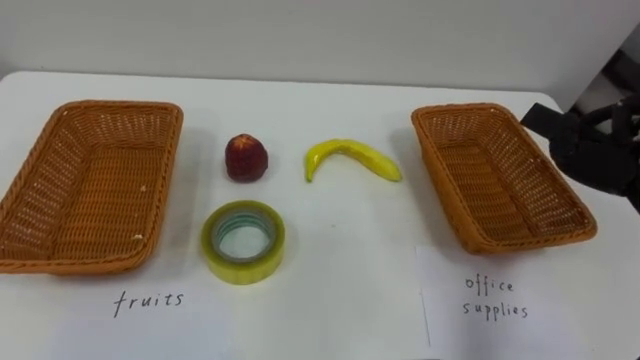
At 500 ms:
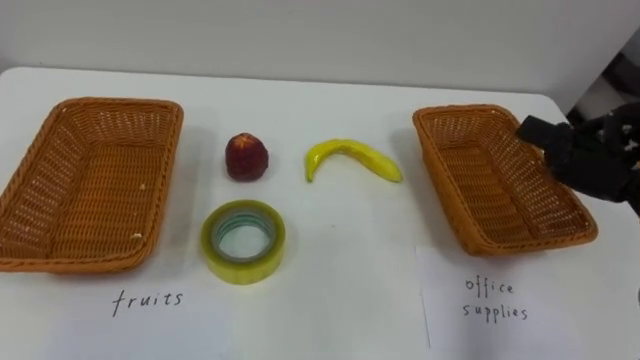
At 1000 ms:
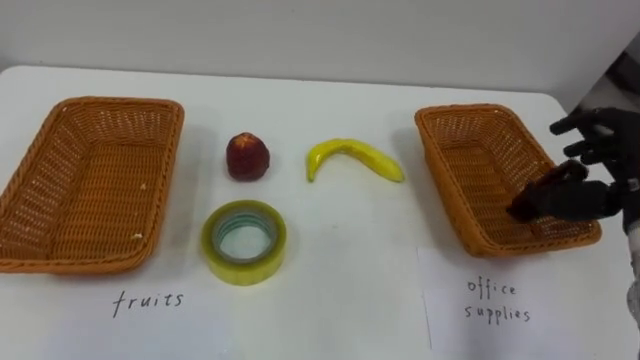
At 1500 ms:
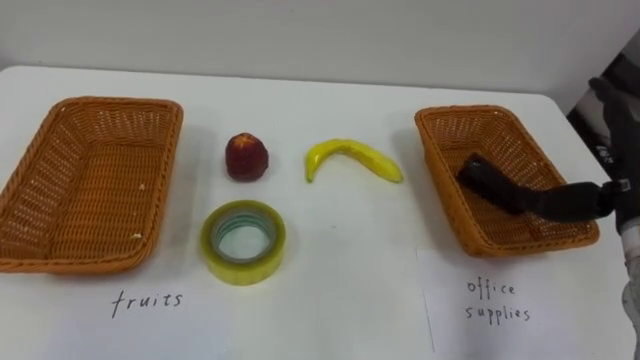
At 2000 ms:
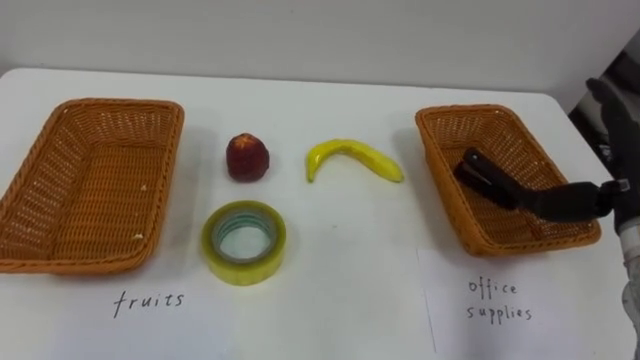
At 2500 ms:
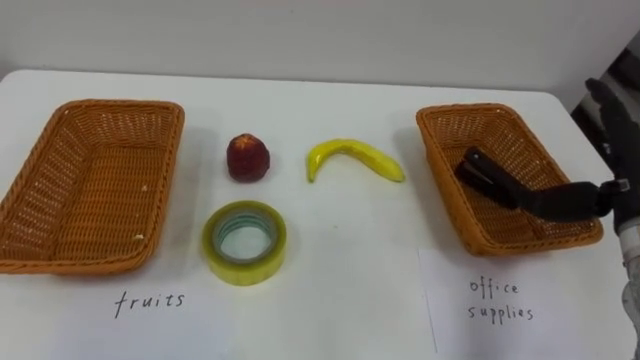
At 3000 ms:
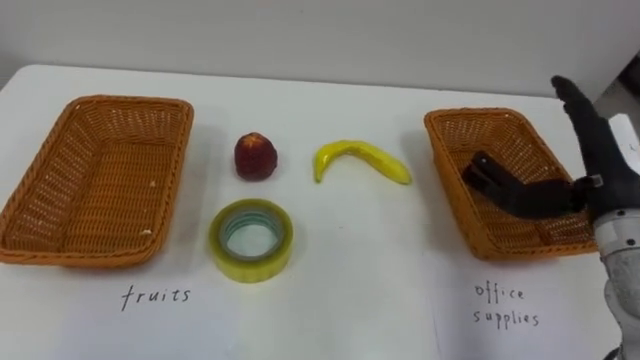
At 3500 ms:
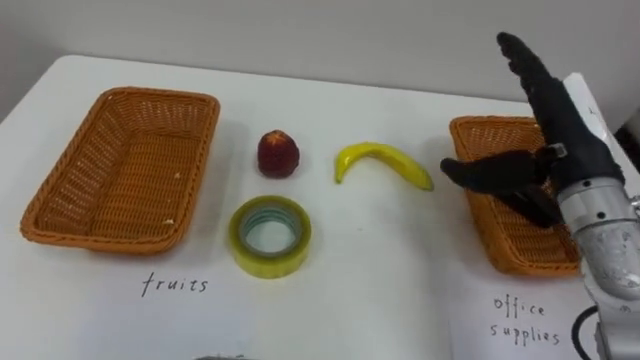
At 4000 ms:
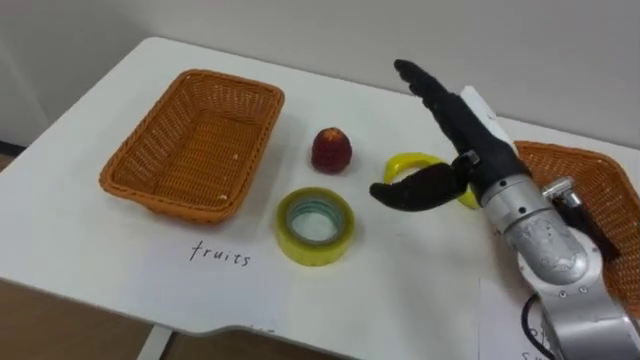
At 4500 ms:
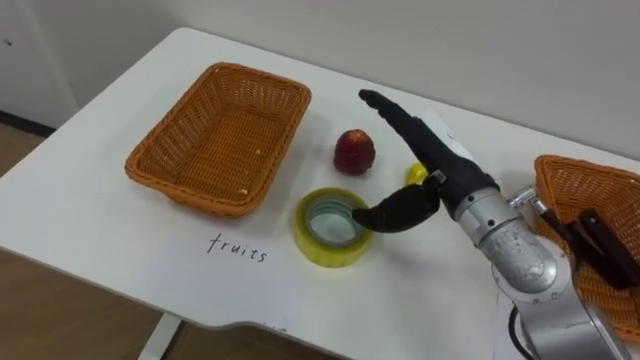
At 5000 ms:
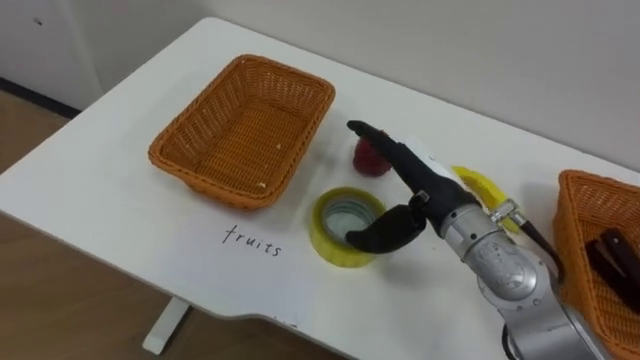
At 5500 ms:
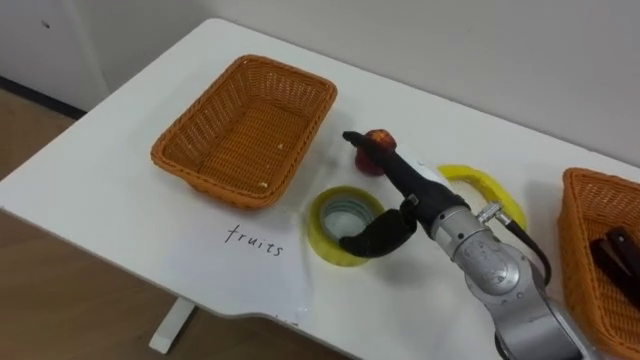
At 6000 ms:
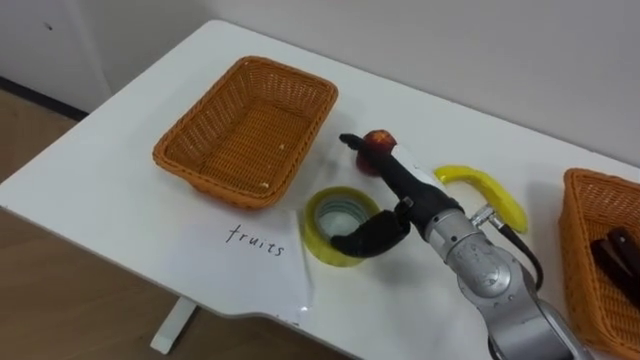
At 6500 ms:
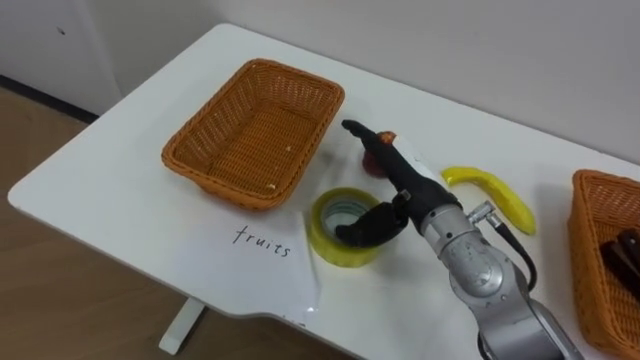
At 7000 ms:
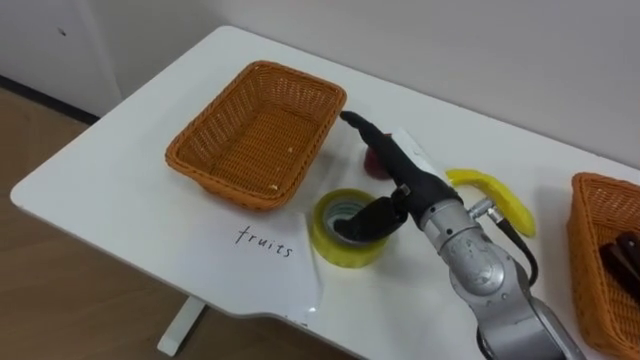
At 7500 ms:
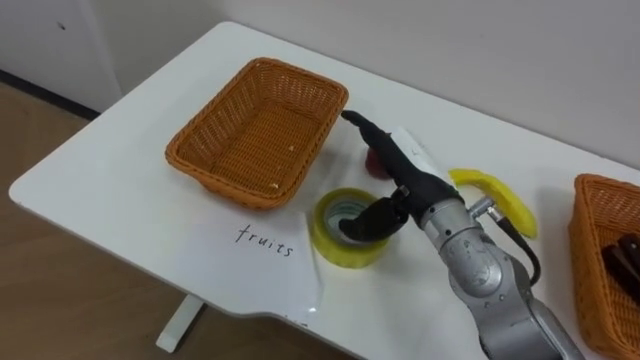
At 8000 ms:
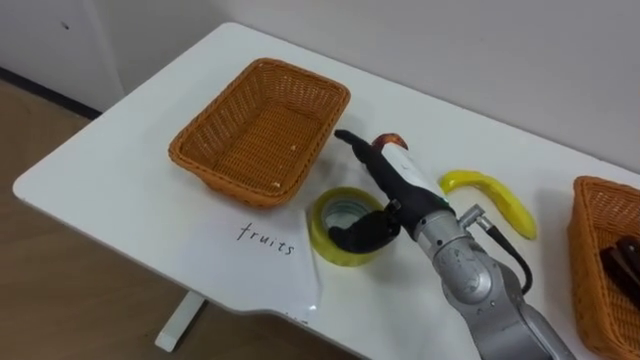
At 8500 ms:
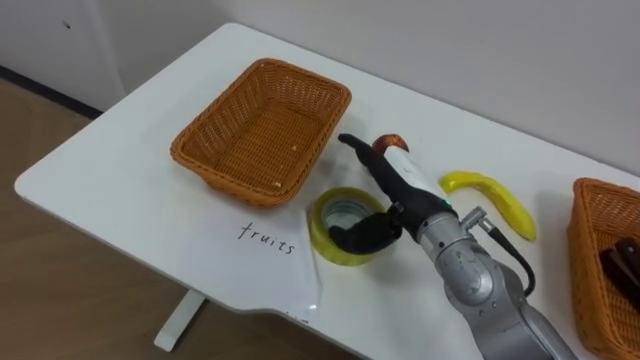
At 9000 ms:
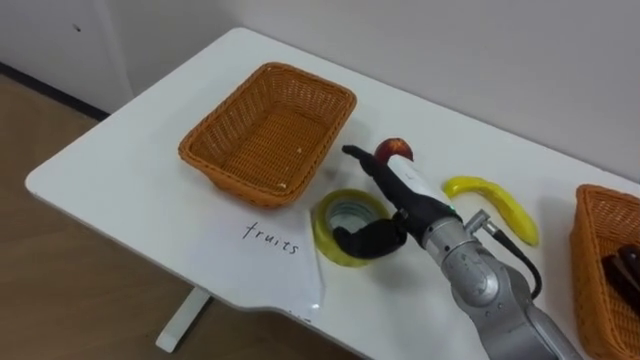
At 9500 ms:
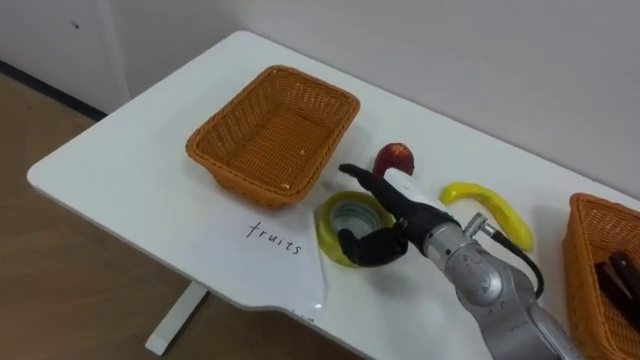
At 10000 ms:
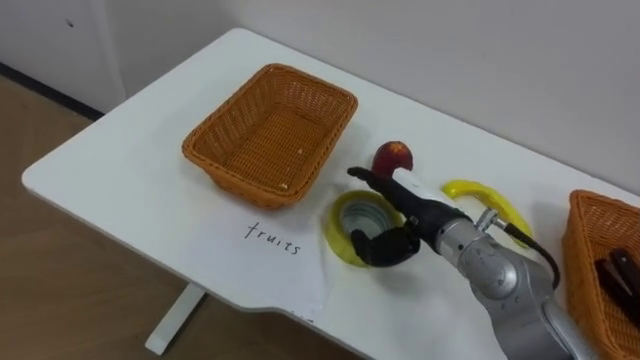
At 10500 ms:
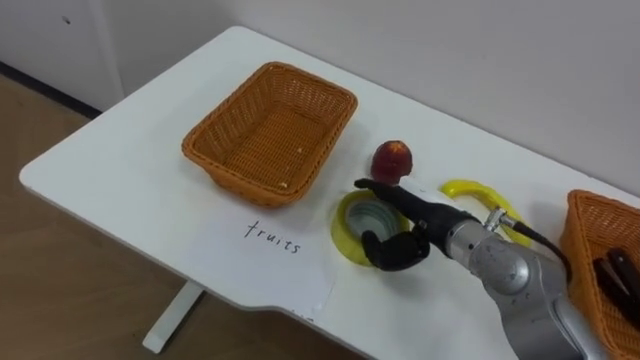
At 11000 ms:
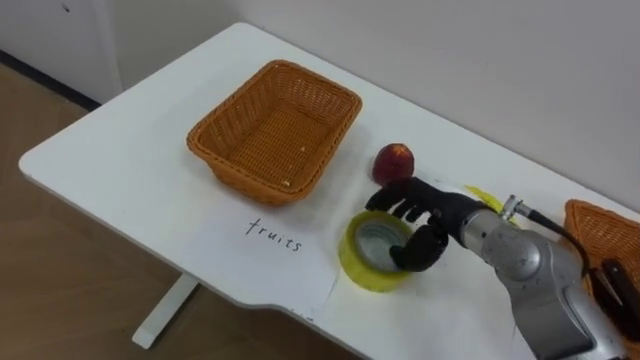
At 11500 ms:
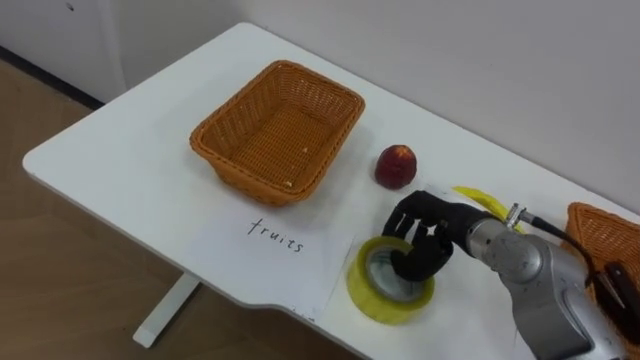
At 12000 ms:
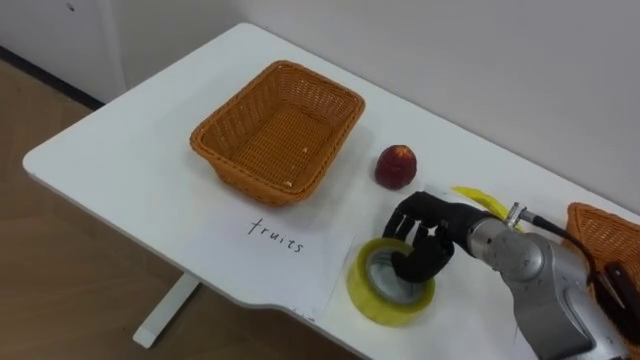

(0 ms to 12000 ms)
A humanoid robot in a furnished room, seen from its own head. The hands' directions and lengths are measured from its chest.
Task of the whole recording: Separate the items on the table and place them into the two baskets.
2000 ms - 4000 ms: The right hand moves to the left, about 15 cm.
4000 ms - 6000 ms: The right hand heads downward and to the left, covering approximately 10 cm.
10000 ms - 12000 ms: The right hand changes place by roughly 5 cm, and closes its fingers.

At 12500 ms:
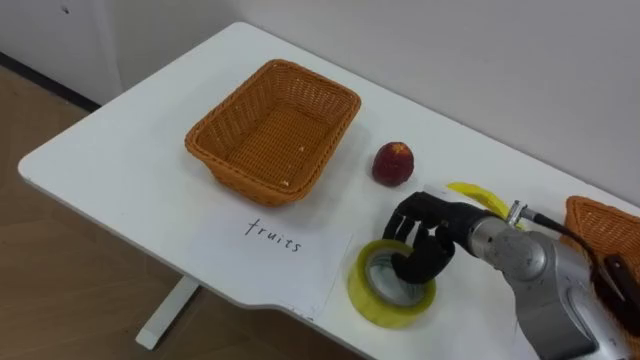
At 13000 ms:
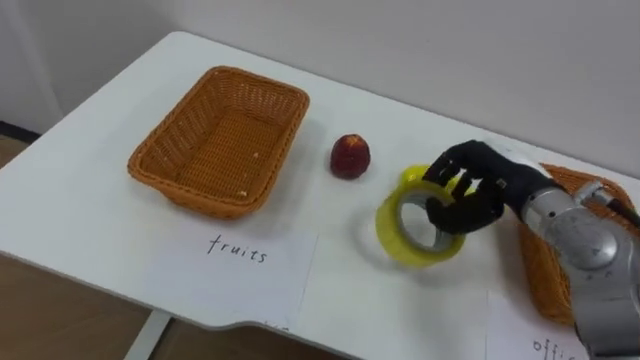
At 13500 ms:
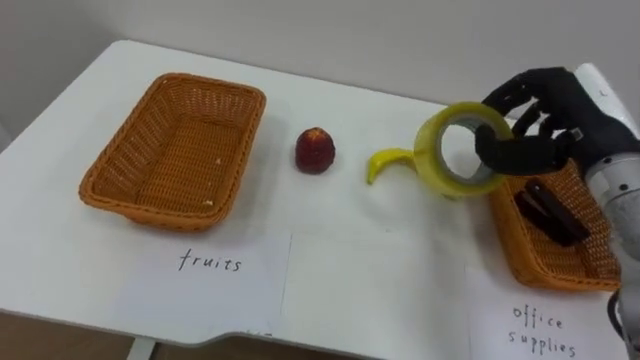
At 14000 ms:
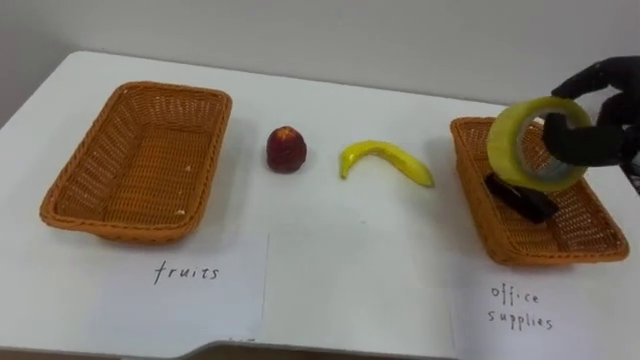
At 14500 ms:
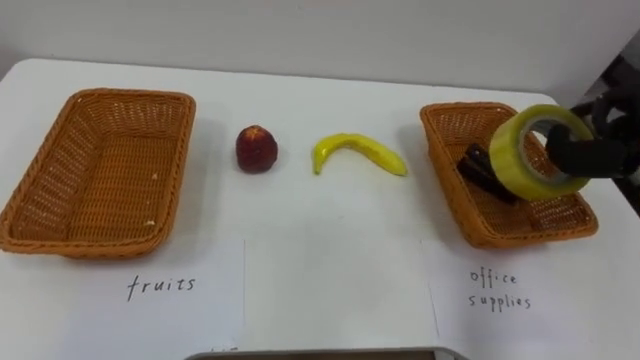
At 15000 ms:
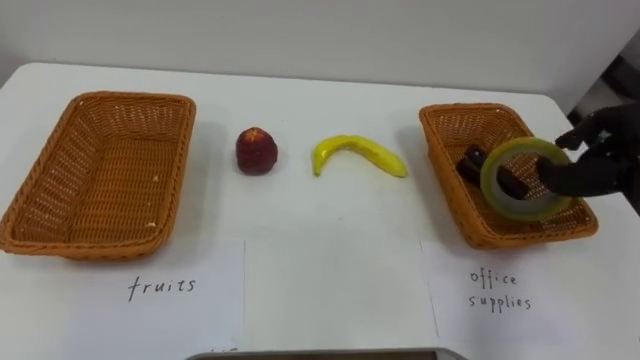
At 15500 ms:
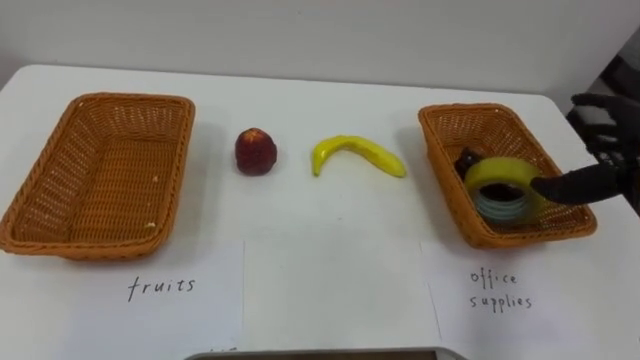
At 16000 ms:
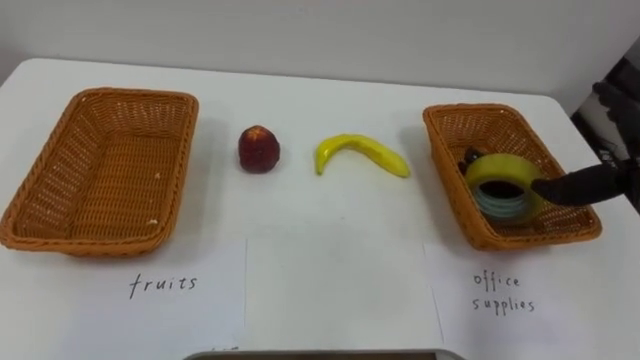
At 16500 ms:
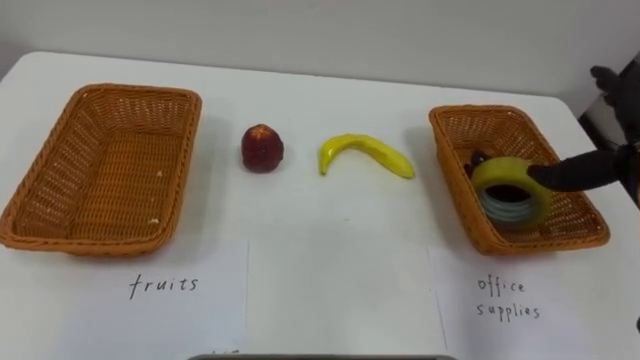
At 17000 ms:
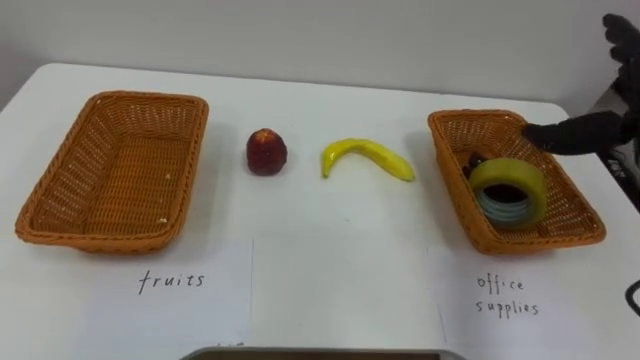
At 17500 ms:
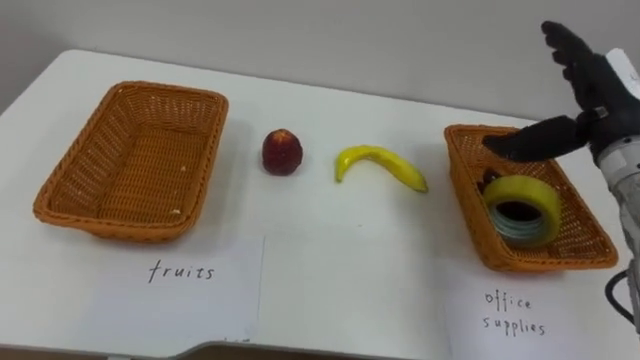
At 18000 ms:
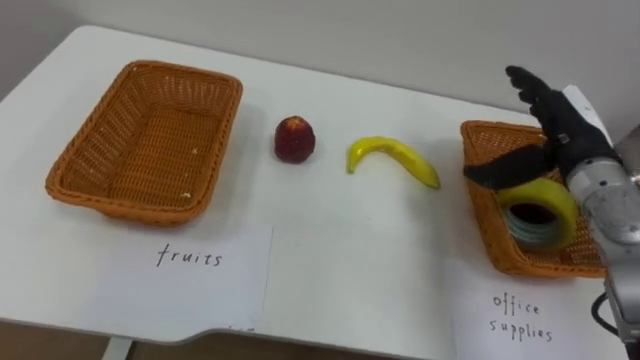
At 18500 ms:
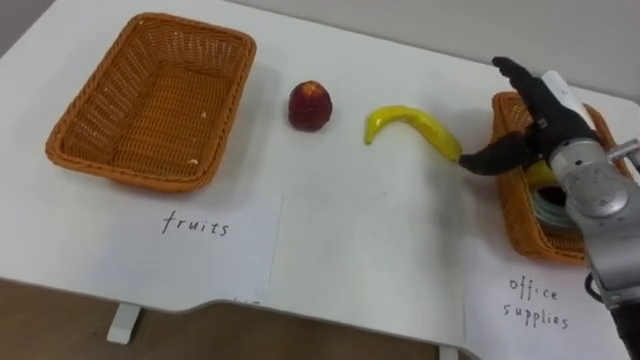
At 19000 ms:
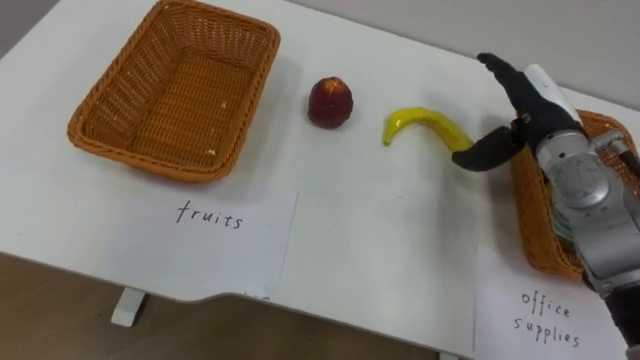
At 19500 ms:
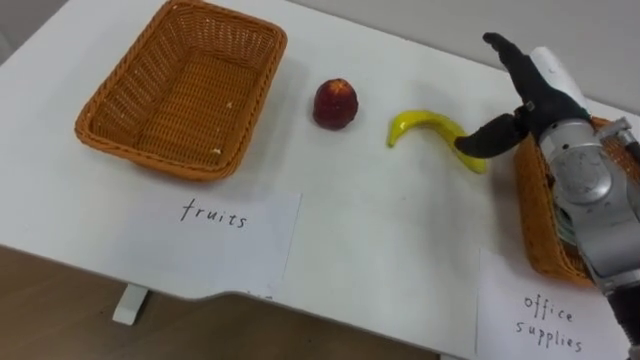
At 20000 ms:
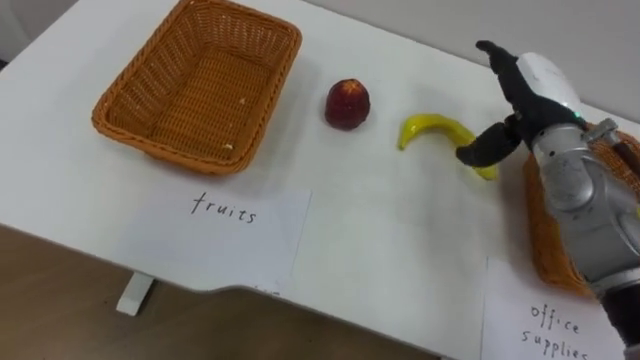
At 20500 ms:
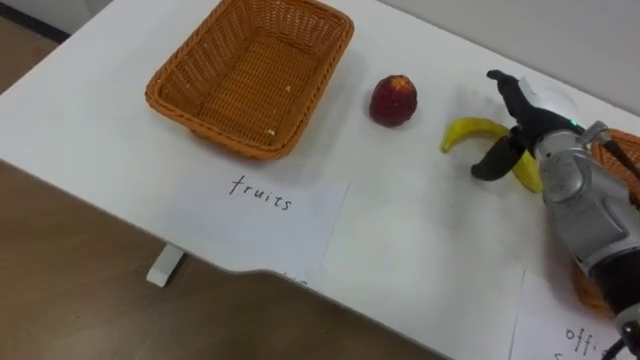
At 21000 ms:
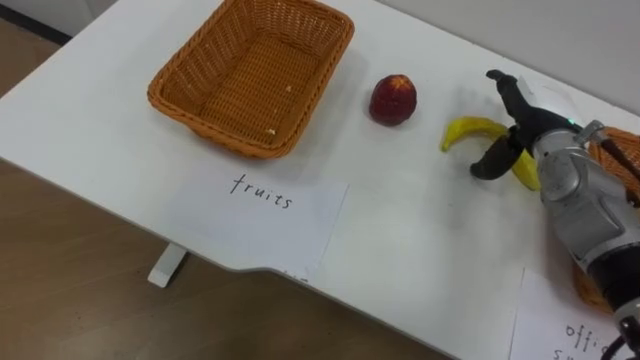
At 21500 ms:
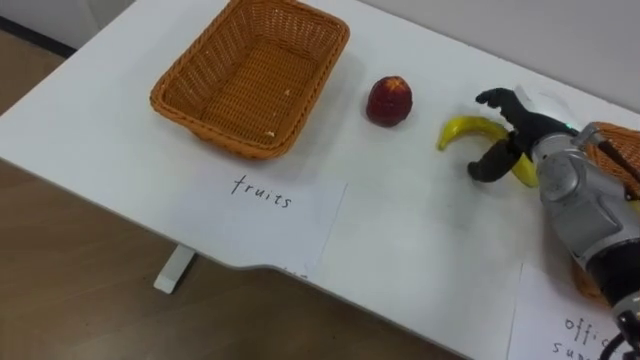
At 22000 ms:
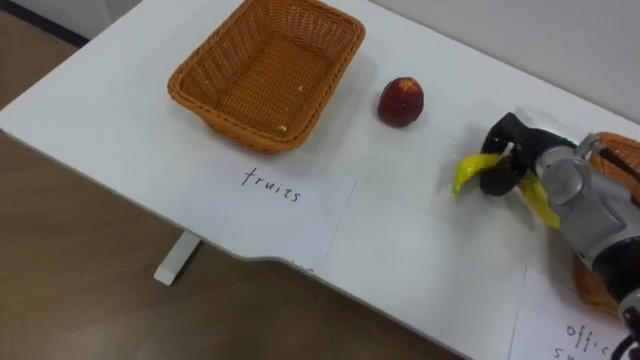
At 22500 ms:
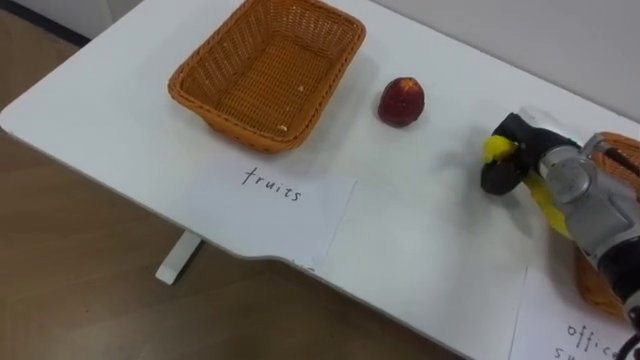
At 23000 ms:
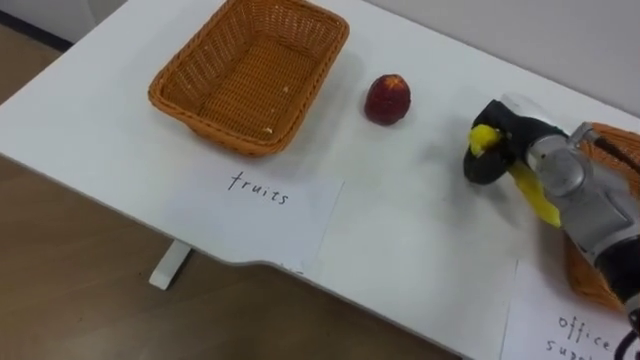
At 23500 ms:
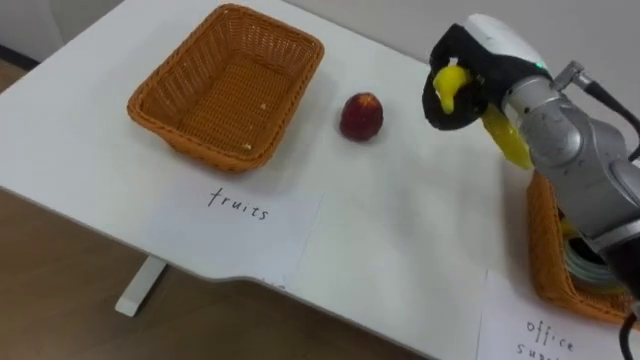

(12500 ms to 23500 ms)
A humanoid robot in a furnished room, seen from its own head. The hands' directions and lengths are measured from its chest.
Task of the whole recording: Separate the items on the table and place them into the two baskets.
18000 ms - 20000 ms: The right hand moves approximately 5 cm.
20000 ms - 21500 ms: The right hand heads downward, covering roughly 5 cm.
21500 ms - 23500 ms: The right hand goes roughly 10 cm upward and to the left, and closes.
